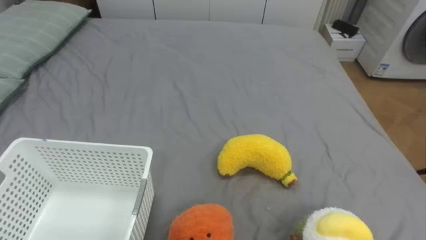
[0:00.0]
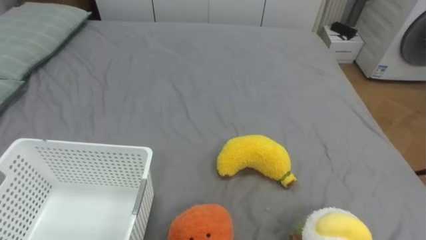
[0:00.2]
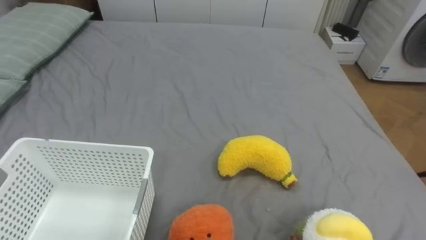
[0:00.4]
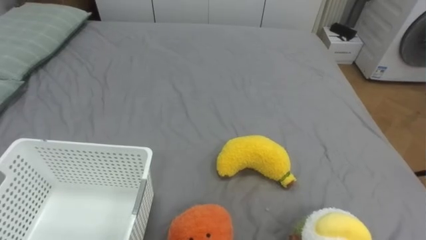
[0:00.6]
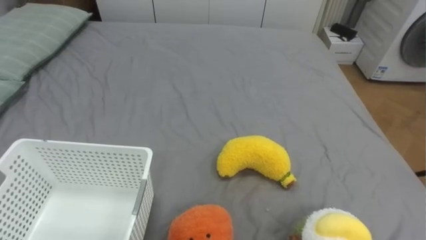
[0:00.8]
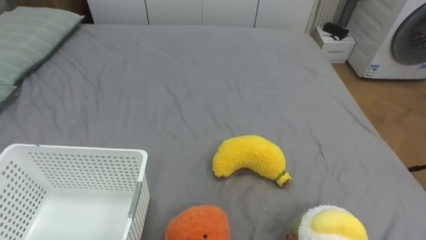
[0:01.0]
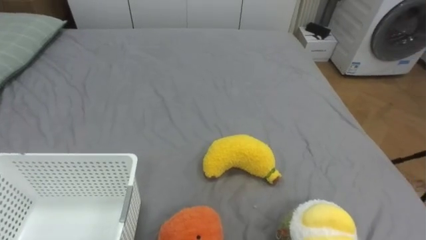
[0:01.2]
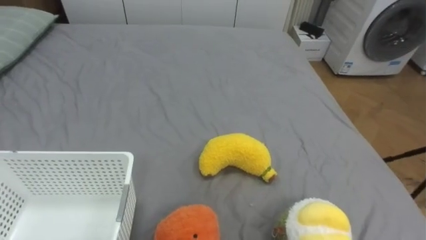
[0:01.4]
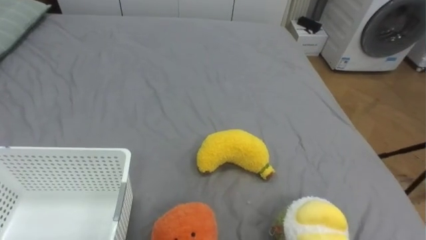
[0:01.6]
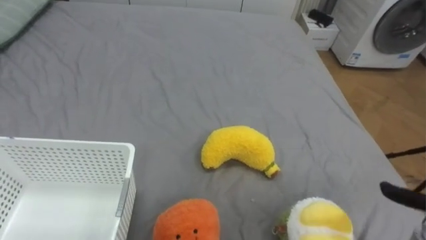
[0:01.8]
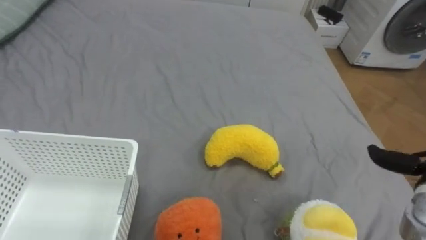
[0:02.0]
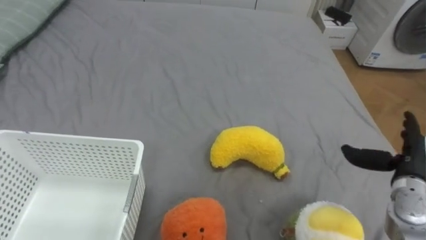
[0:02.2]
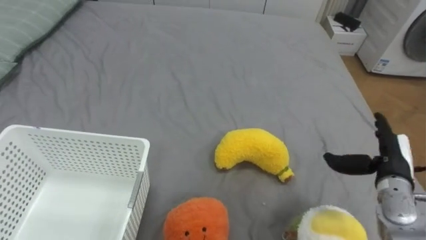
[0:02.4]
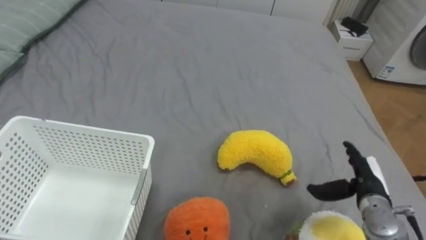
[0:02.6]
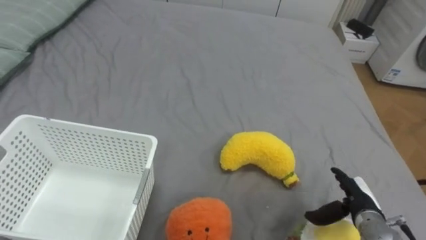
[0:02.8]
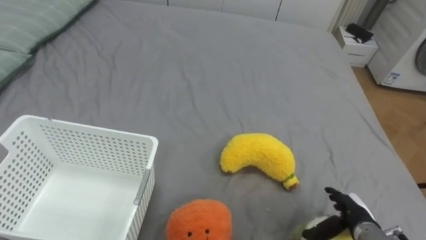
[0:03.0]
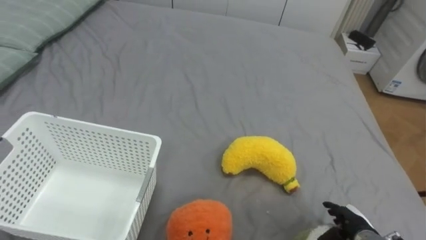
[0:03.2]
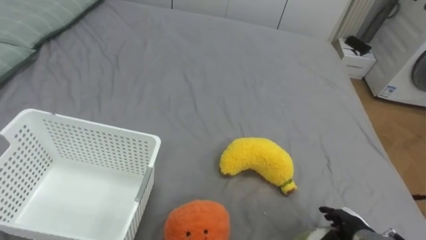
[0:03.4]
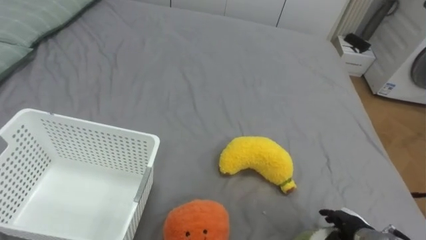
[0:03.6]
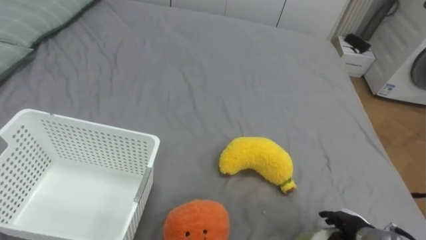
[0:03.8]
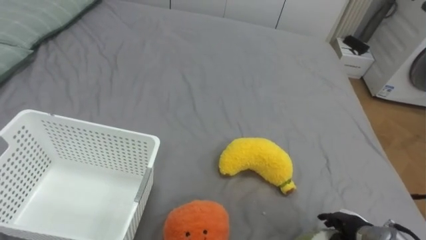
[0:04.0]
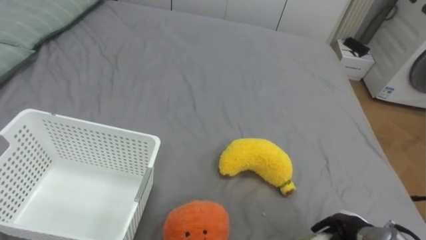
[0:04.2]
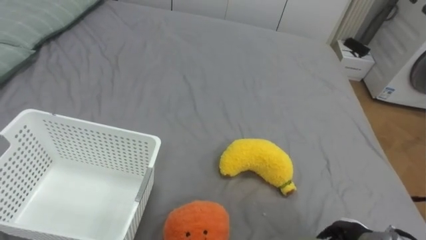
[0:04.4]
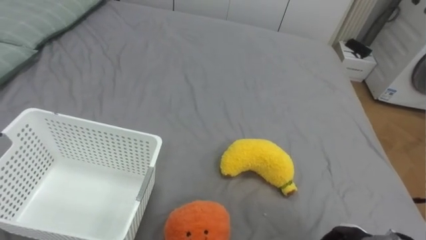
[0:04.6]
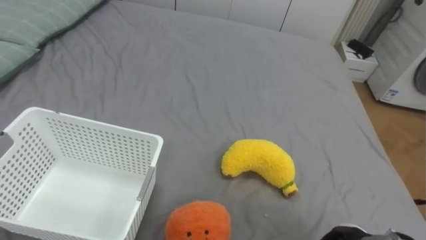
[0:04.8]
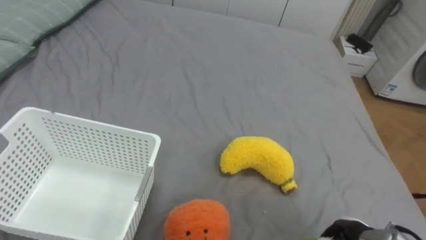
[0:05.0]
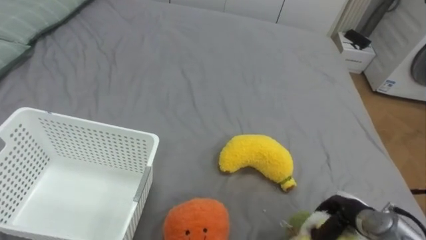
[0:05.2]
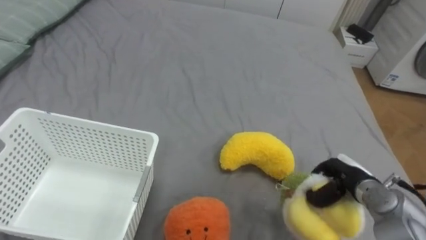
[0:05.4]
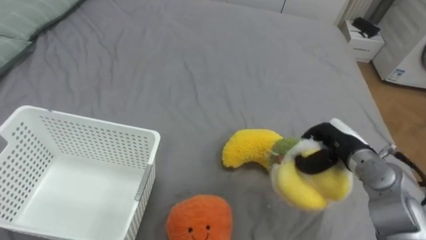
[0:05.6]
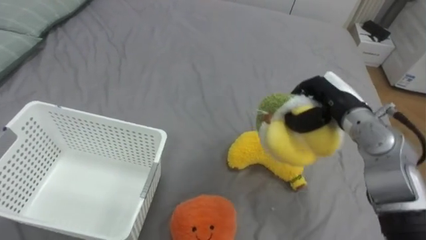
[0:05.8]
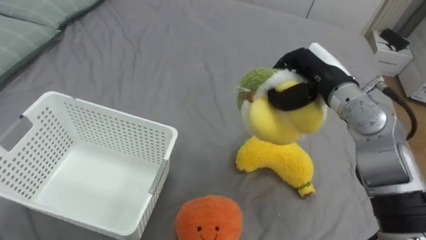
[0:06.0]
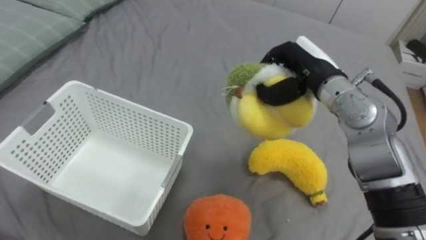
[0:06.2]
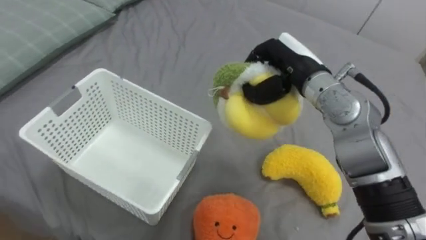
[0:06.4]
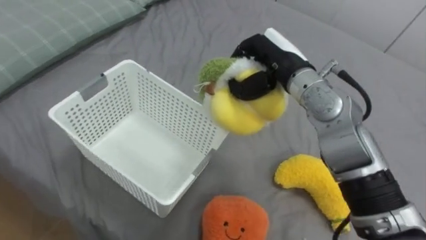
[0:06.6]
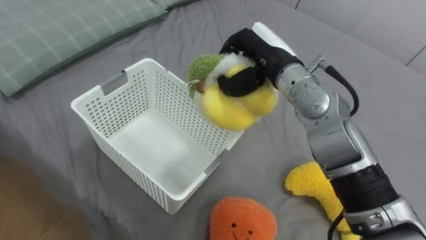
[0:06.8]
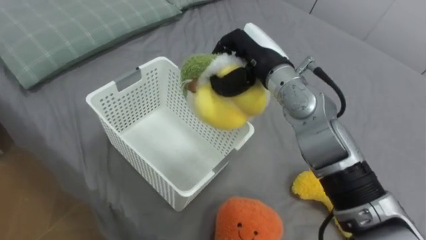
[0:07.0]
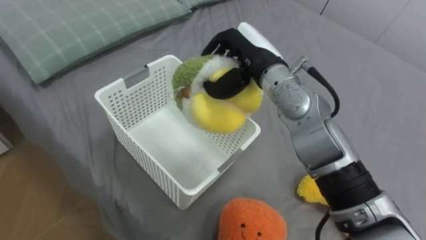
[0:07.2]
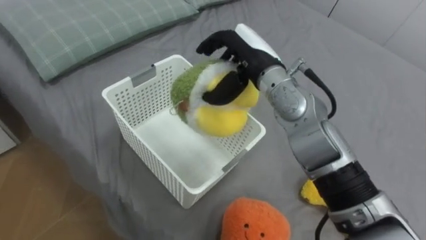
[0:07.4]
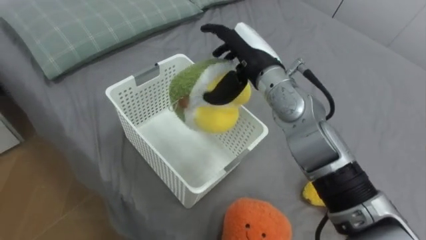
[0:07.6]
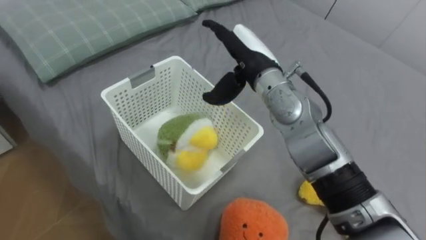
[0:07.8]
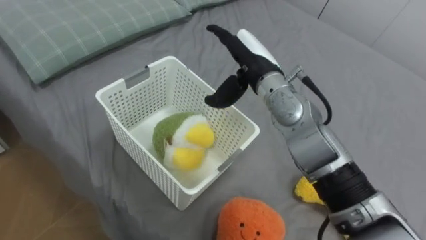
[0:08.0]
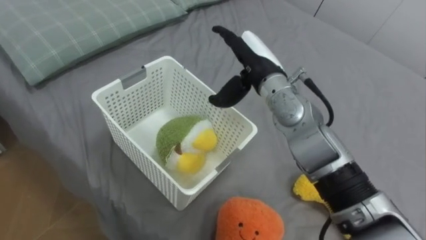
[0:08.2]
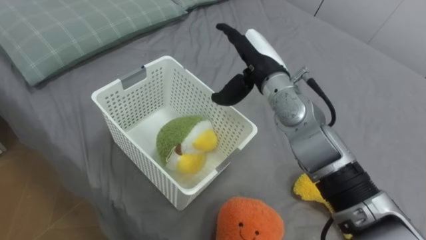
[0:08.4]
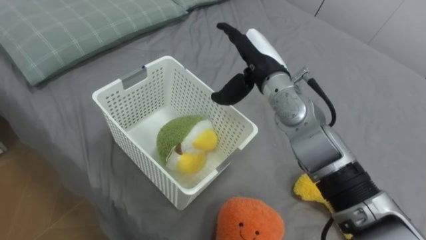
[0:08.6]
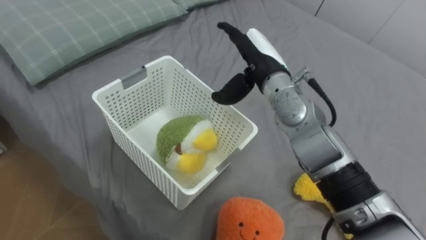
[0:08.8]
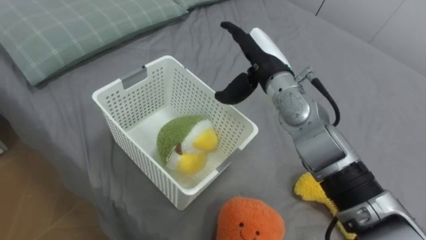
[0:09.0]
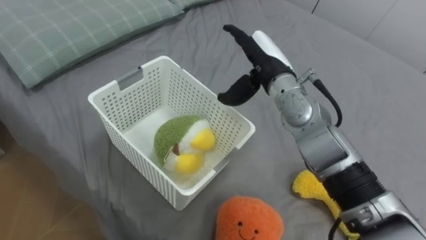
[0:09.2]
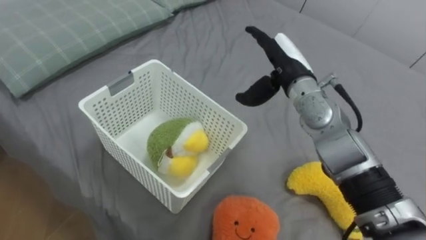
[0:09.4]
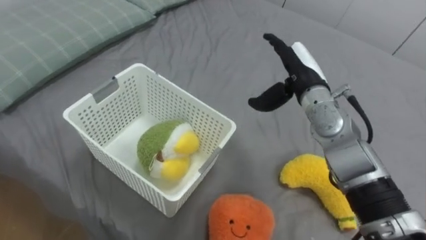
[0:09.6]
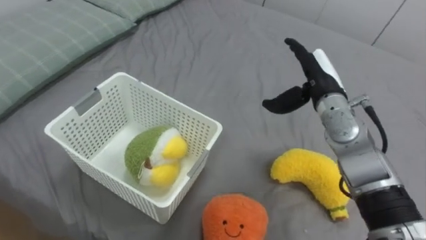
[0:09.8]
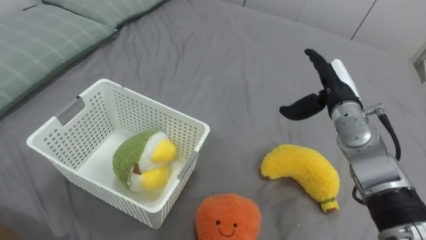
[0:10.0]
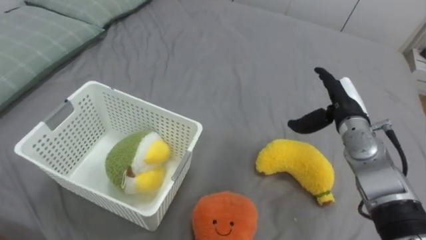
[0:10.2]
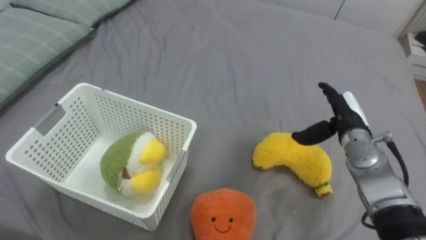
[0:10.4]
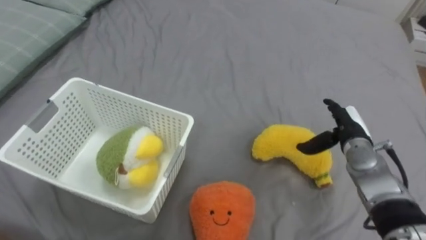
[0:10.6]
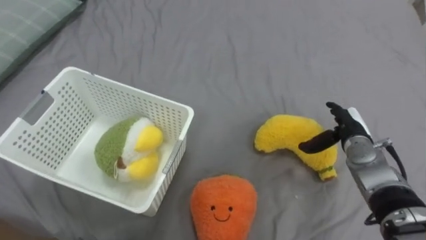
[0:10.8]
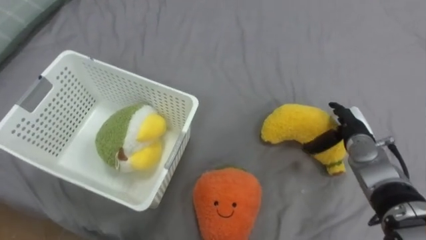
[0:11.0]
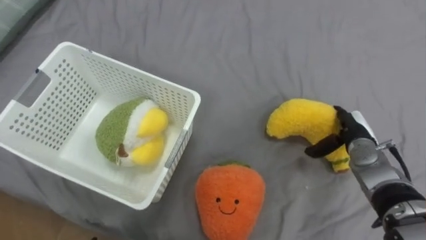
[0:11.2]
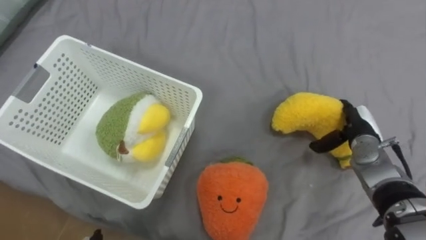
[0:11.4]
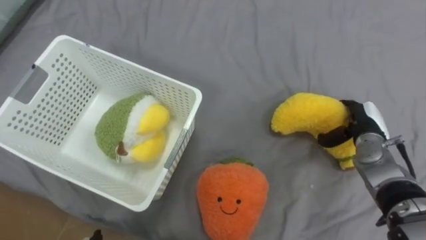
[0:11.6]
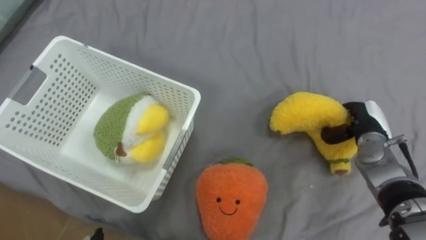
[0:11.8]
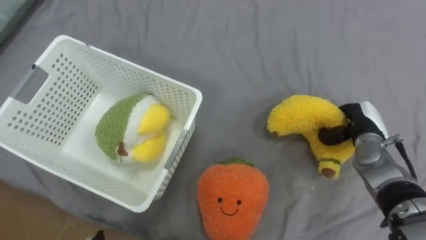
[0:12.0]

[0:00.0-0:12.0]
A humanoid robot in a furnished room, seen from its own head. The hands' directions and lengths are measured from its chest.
Task of the whole recording: Put the toys on the bed into the basket on the left.
0:03.0 to 0:04.4: The right hand closes.
0:06.0 to 0:07.6: The right hand shifts some 15 cm to the left, and opens its fingers.
0:09.0 to 0:10.4: The right hand goes about 20 cm to the right and downward.
0:10.4 to 0:12.0: The right hand moves about 5 cm, and closes up.

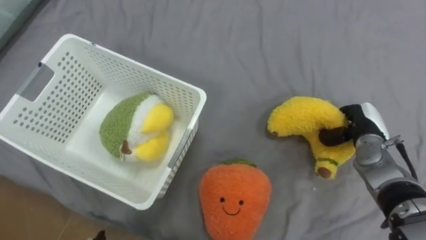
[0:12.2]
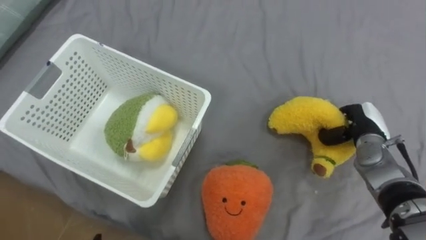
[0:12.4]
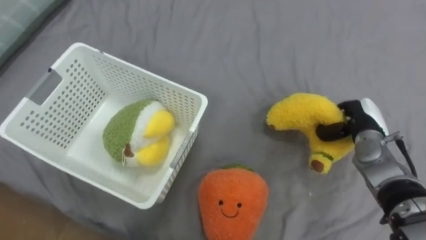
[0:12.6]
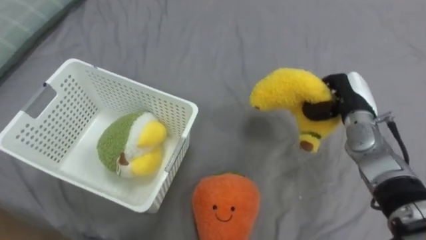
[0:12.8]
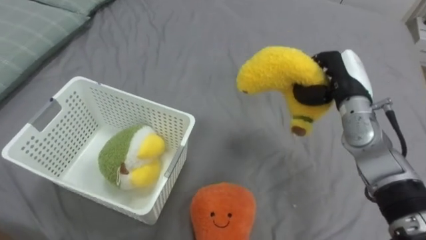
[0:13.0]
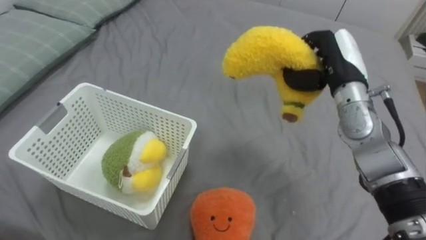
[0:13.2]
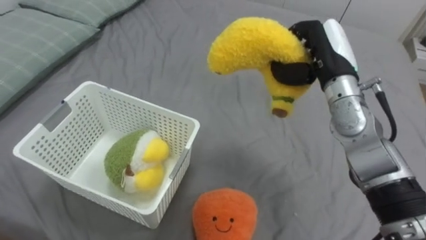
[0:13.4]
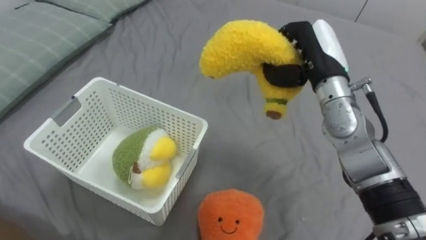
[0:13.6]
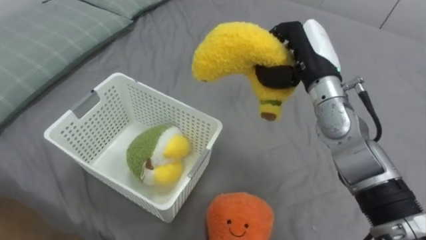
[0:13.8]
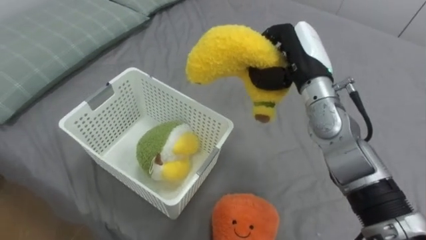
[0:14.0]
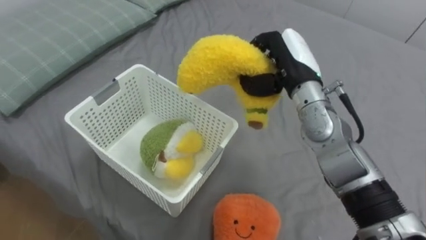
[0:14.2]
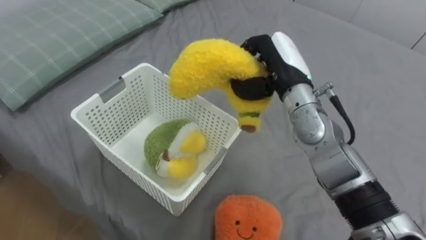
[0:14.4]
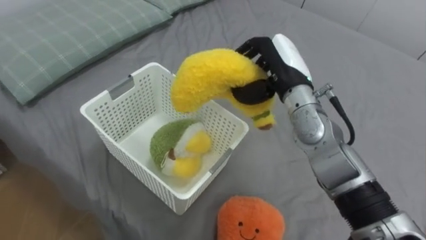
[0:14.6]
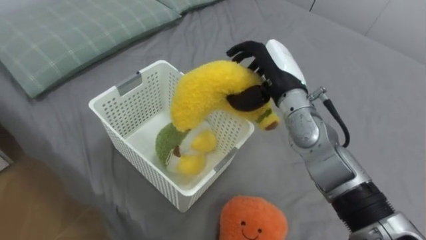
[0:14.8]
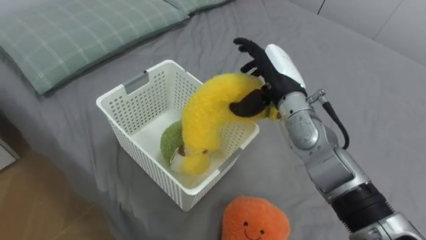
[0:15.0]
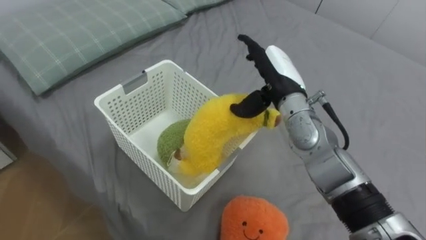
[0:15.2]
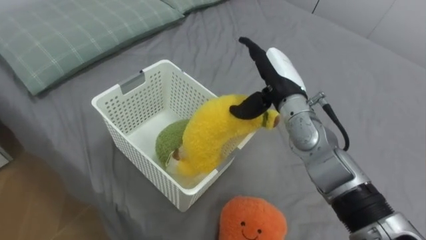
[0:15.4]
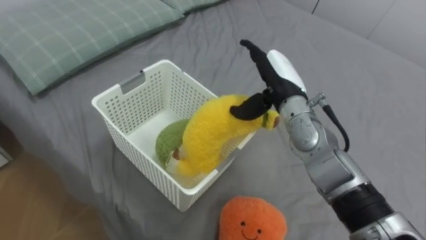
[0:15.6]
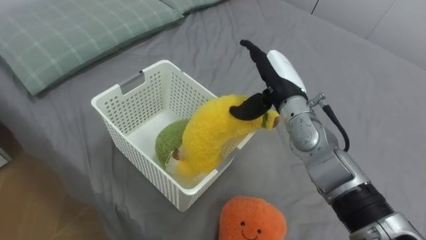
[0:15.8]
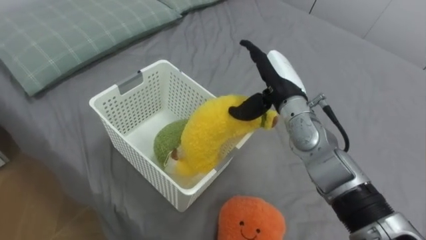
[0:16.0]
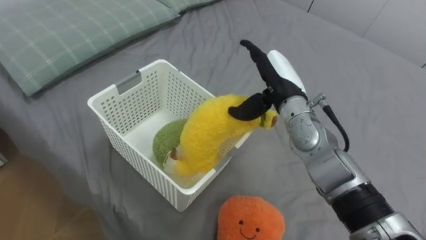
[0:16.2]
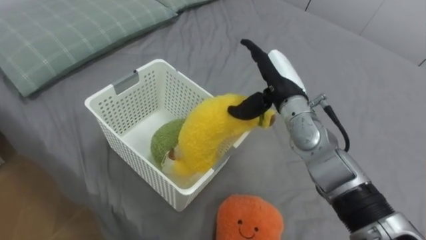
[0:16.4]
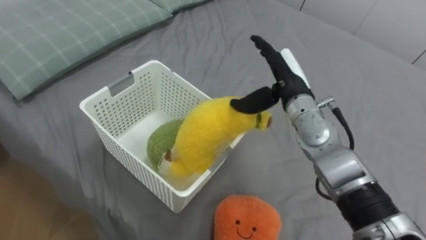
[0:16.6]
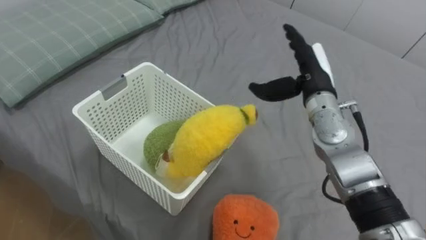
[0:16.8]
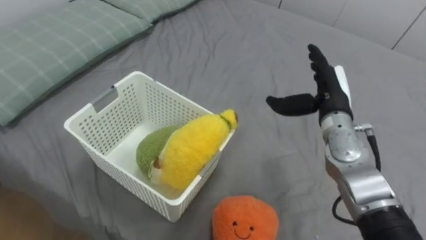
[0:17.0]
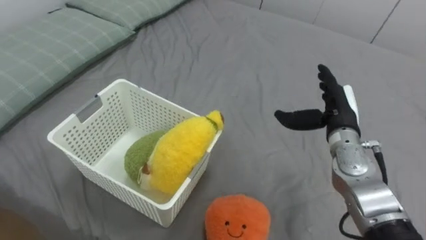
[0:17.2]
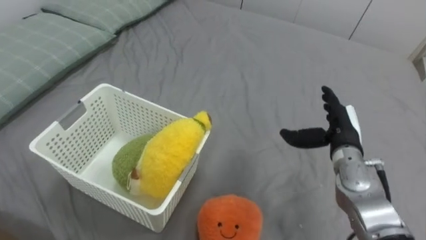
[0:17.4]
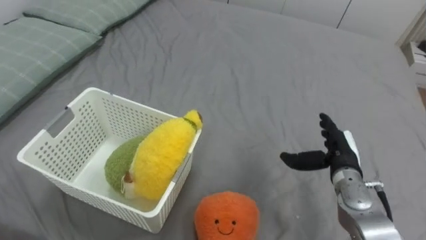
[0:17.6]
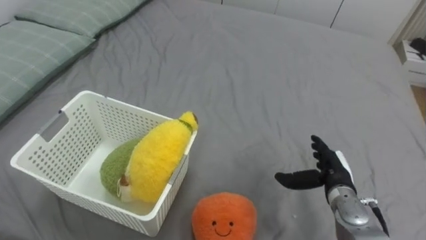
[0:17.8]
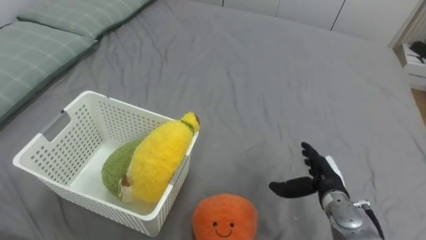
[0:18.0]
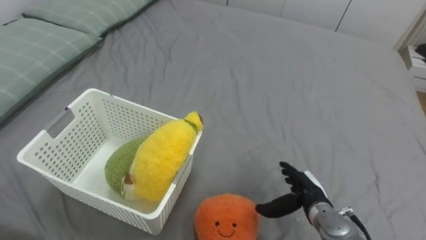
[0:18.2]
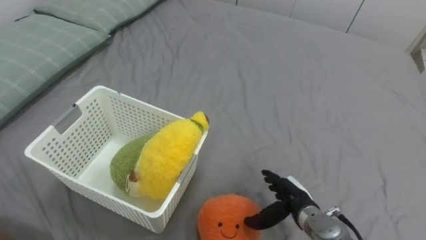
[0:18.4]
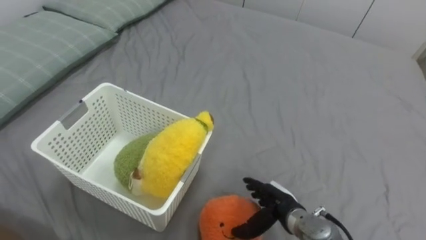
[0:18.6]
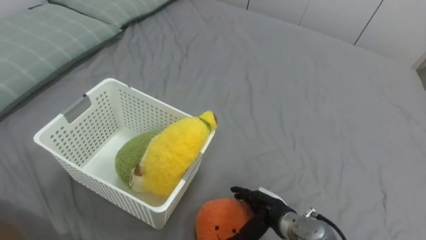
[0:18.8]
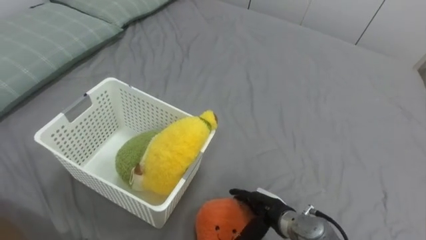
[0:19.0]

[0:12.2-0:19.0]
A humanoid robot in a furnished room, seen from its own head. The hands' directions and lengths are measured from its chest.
Task of the whole recording: Put the toys on the bed into the basket on the left.
0:12.2 to 0:13.6: The right hand is displaced upward and to the left by approximately 20 cm.
0:13.6 to 0:15.0: The right hand shifts roughly 5 cm to the left, and opens its fingers.
0:16.2 to 0:17.6: The right hand is displaced to the right, downward and backward by some 20 cm.
0:17.6 to 0:19.0: The right hand travels to the left, downward and backward by about 20 cm.
